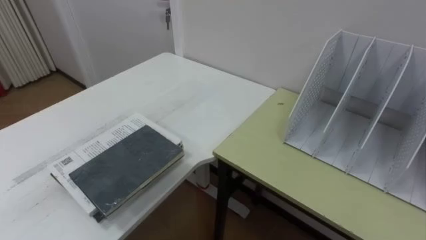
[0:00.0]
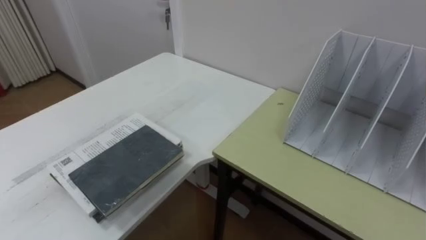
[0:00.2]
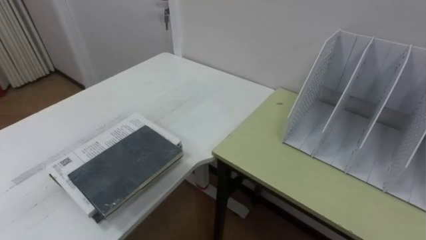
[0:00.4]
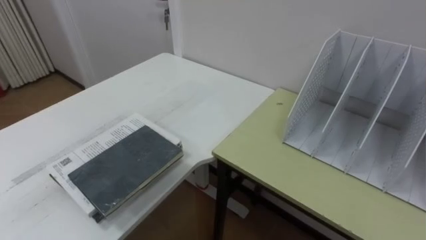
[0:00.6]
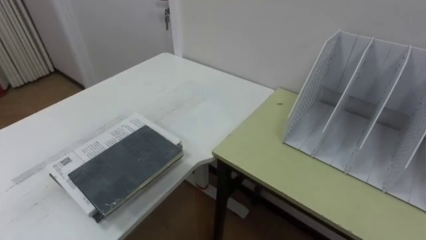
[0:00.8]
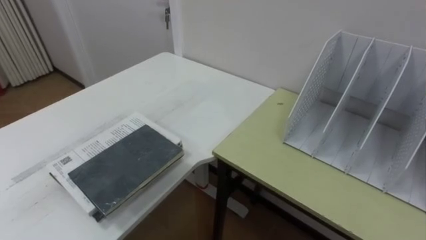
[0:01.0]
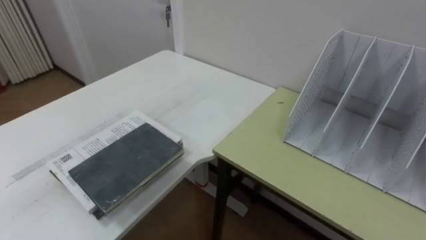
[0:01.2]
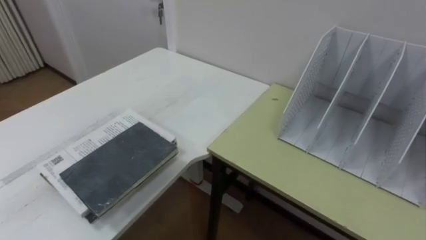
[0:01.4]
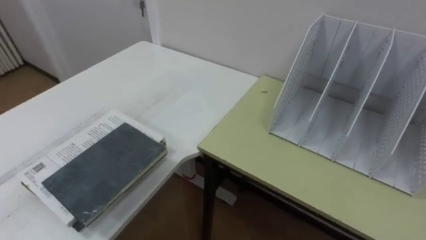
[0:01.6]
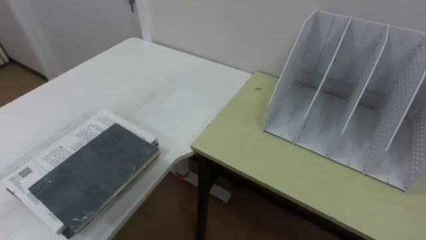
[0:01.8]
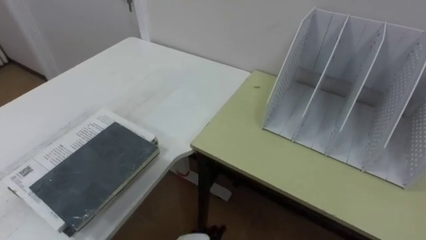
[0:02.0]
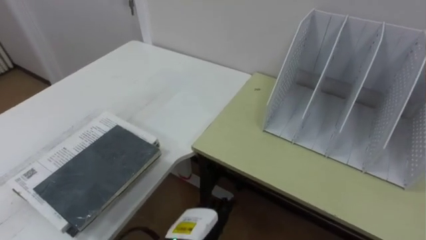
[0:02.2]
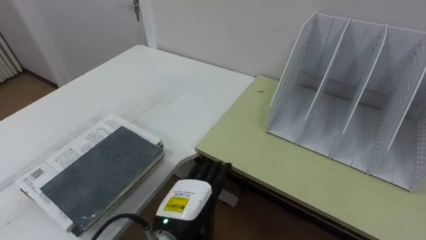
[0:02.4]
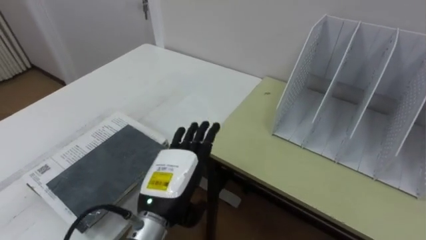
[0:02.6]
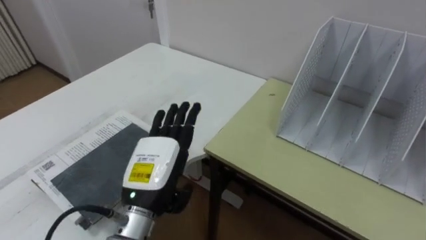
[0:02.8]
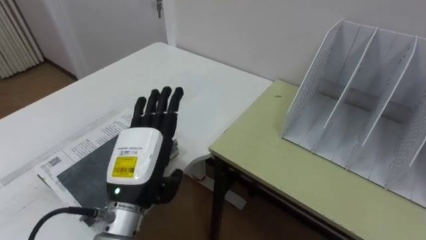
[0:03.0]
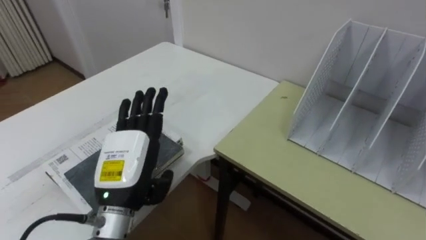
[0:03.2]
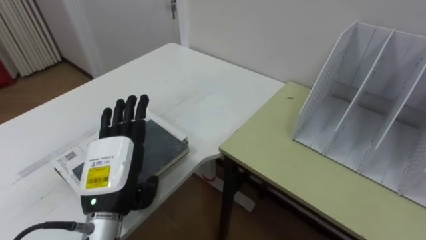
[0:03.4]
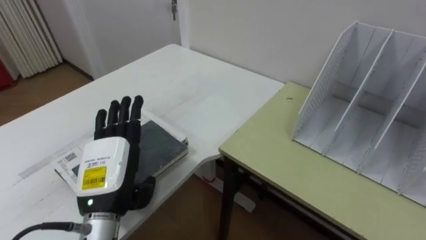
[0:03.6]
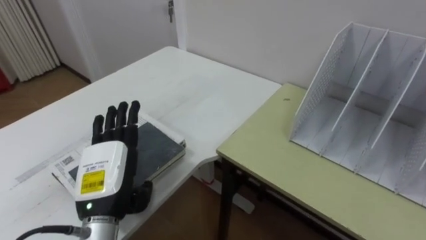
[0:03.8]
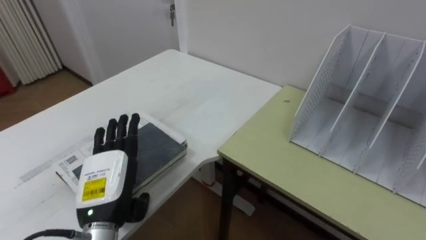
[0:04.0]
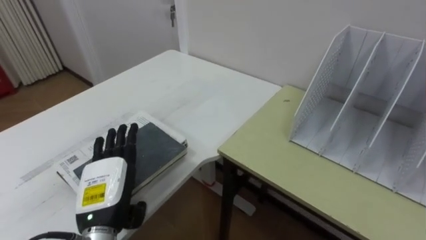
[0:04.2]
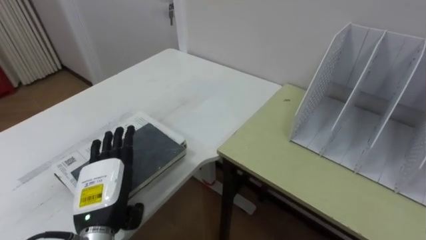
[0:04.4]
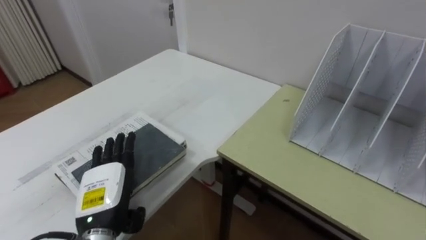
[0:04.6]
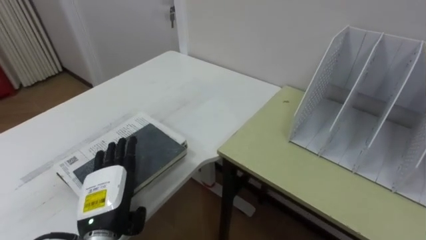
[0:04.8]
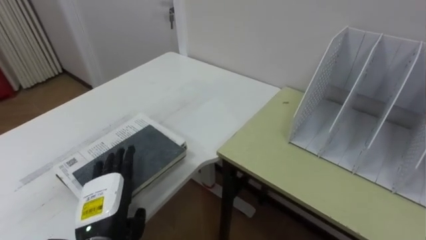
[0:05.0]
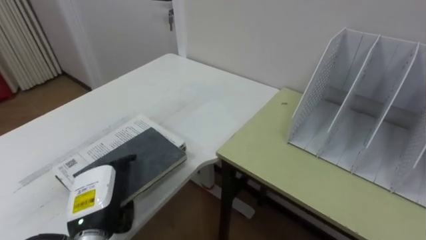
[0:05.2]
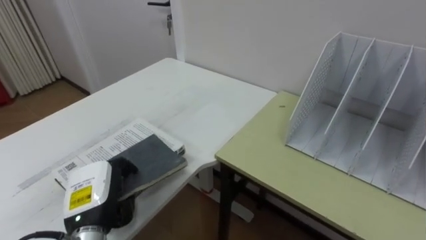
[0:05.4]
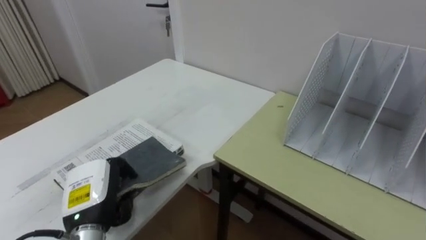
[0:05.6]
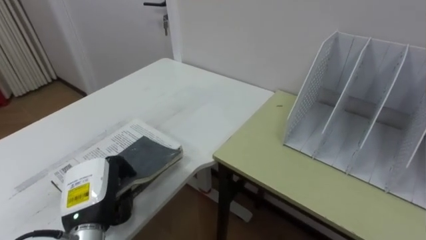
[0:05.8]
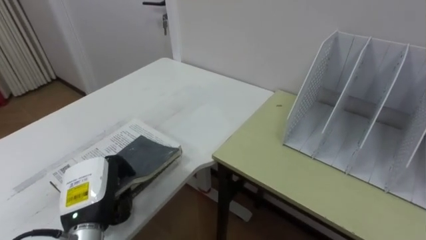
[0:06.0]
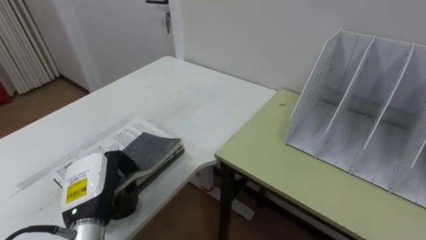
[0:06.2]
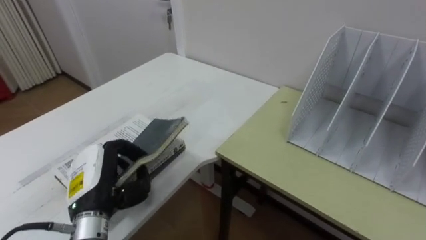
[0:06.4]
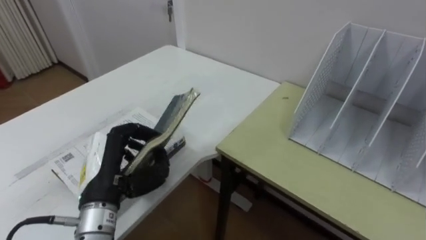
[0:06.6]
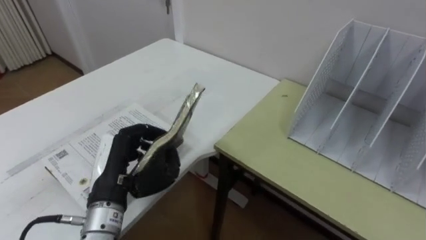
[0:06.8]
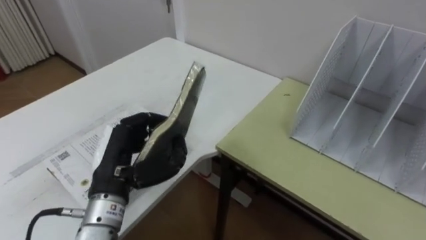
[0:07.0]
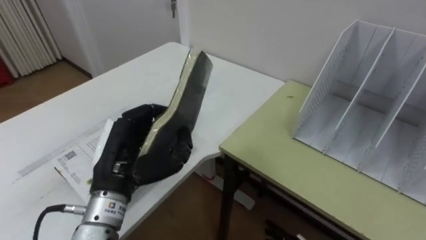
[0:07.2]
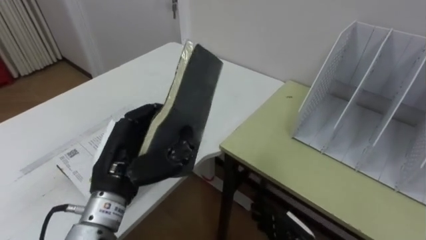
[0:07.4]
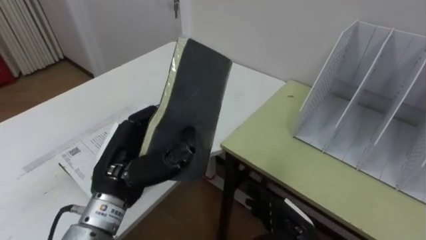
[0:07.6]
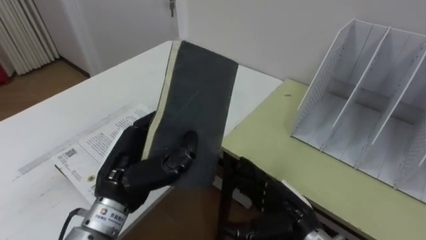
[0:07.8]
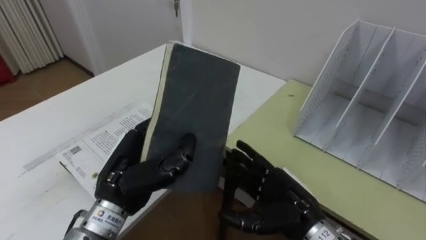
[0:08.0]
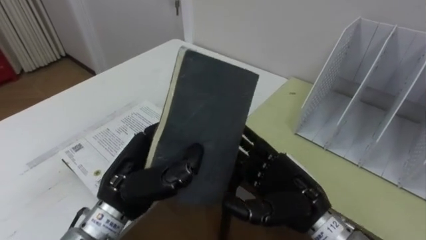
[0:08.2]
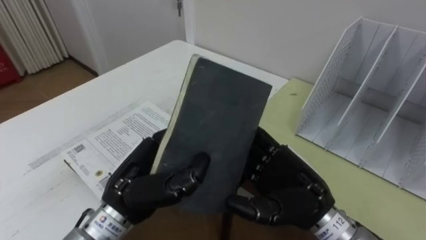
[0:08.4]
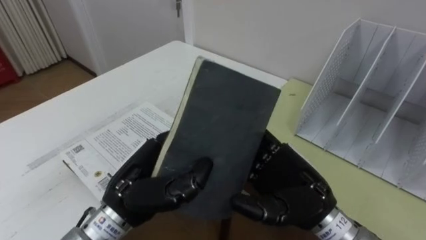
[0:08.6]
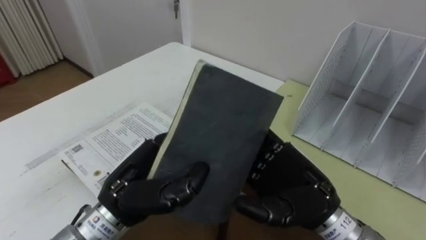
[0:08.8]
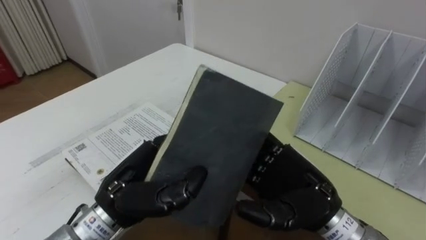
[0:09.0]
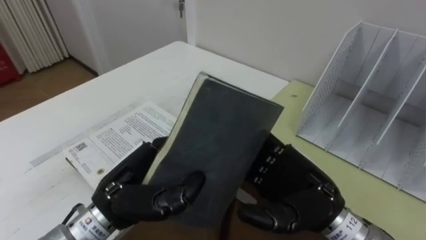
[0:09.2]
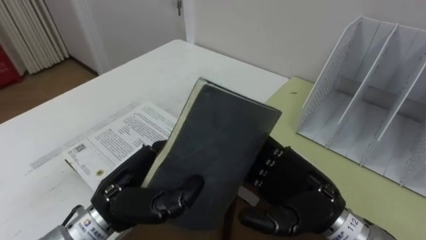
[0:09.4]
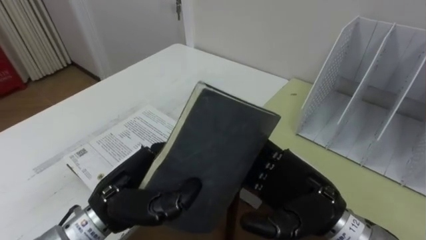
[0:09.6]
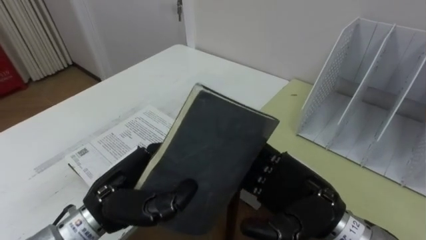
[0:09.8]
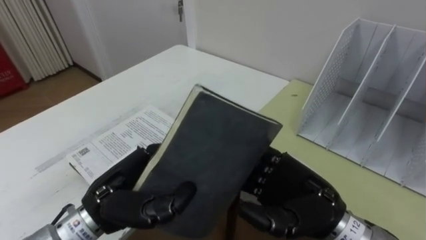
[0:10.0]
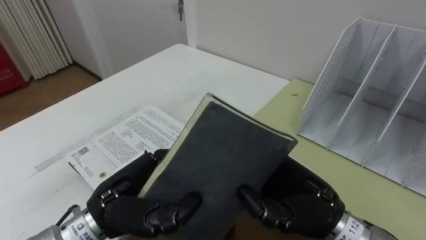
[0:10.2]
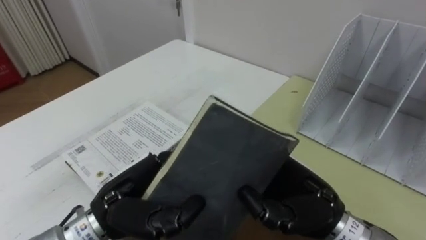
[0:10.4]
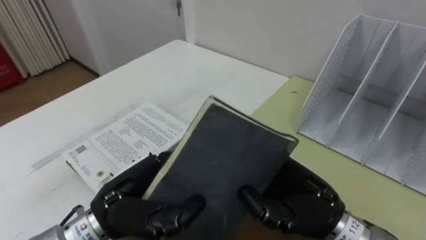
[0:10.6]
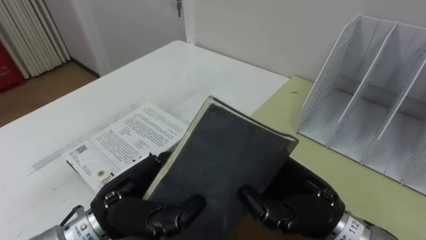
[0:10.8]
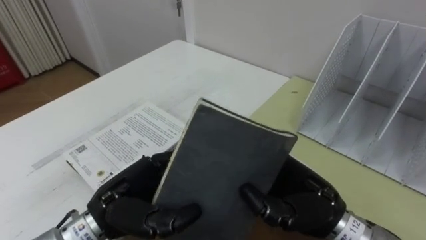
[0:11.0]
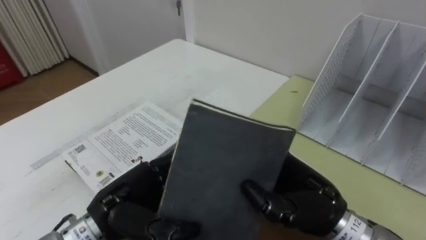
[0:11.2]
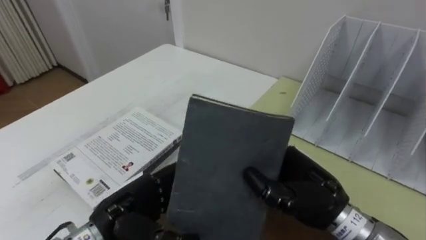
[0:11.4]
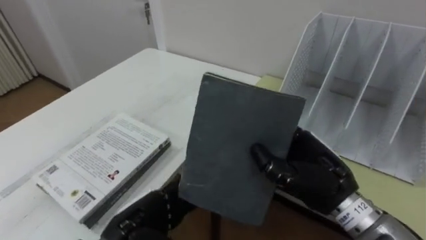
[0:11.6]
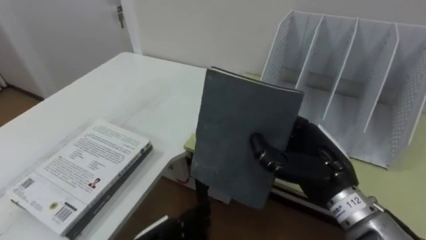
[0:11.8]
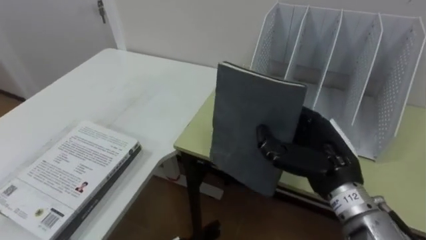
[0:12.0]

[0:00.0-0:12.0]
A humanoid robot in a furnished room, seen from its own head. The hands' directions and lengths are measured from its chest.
Task of the whole recording: Put the books on the table onto the bookshelf.
0:03.0 to 0:04.4: The left hand goes approximately 10 cm to the left and downward.
0:04.4 to 0:06.0: The left hand closes up.
0:06.0 to 0:07.6: The left hand moves upward and to the right, roughly 10 cm.
0:07.6 to 0:09.0: The right hand moves upward, about 15 cm.
0:09.0 to 0:10.4: The right hand closes its fingers.
0:10.4 to 0:12.0: The right hand ends up about 5 cm from where it was.

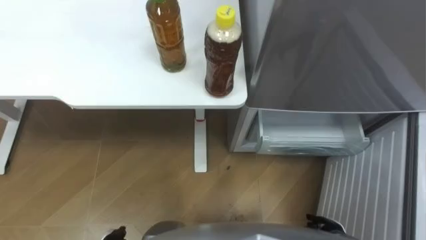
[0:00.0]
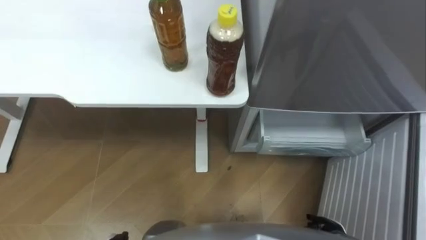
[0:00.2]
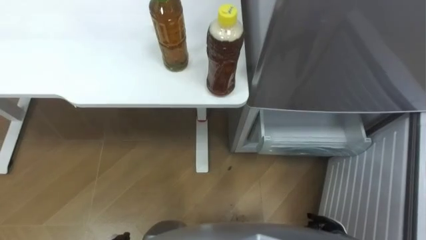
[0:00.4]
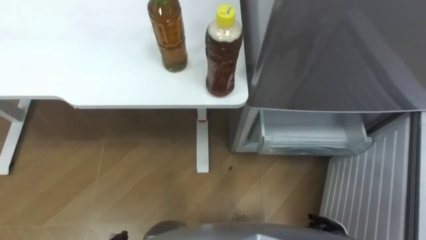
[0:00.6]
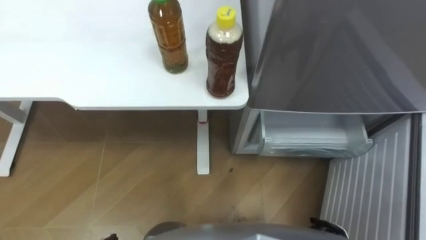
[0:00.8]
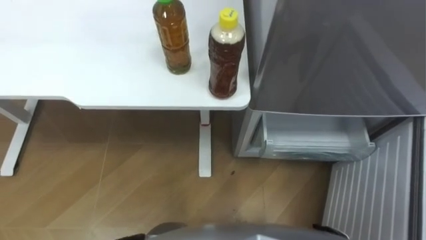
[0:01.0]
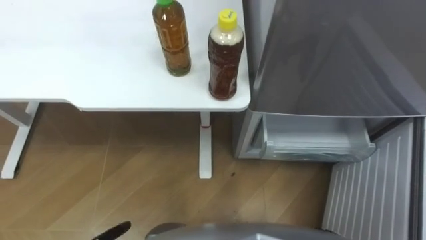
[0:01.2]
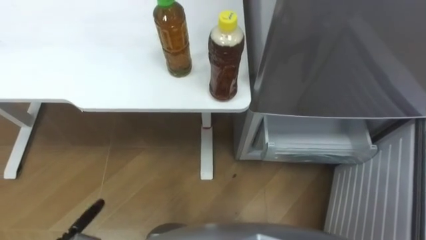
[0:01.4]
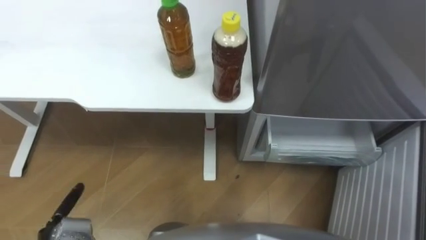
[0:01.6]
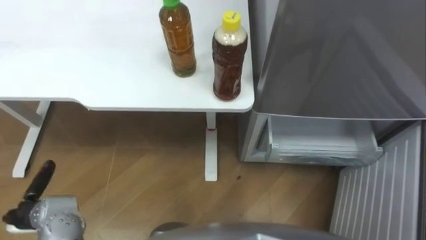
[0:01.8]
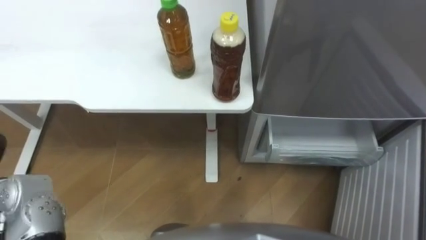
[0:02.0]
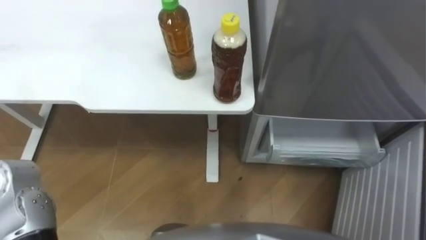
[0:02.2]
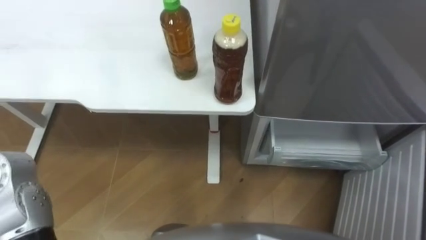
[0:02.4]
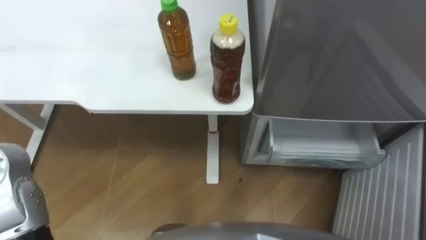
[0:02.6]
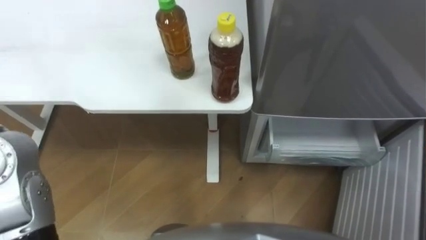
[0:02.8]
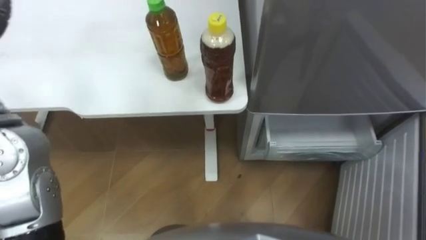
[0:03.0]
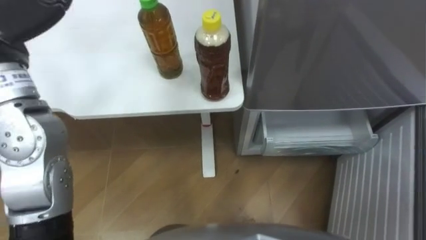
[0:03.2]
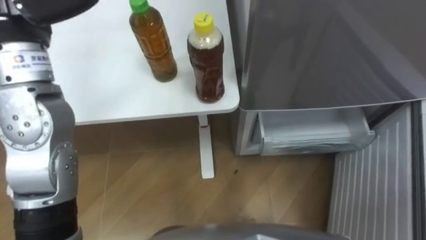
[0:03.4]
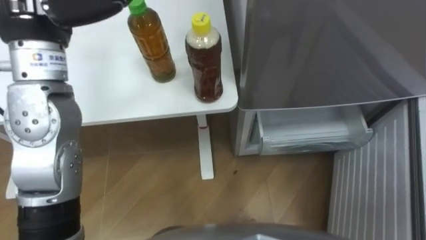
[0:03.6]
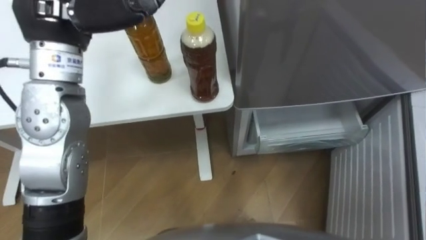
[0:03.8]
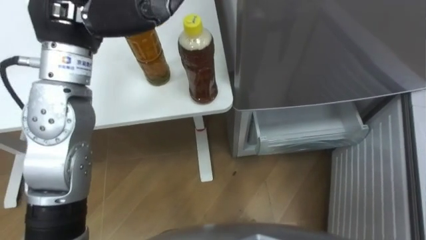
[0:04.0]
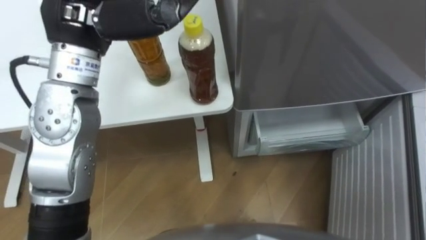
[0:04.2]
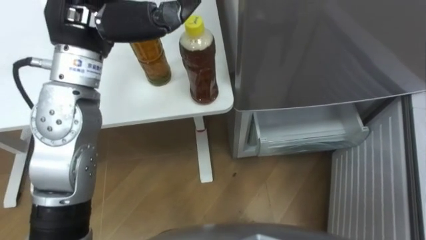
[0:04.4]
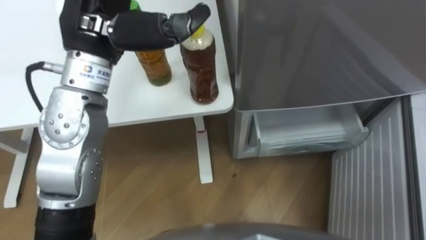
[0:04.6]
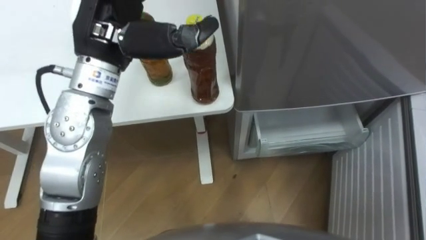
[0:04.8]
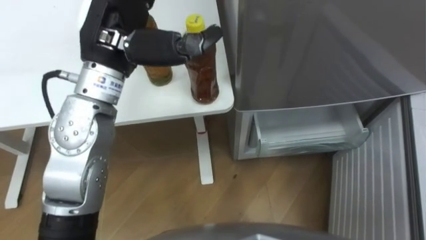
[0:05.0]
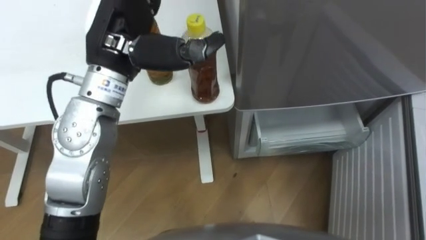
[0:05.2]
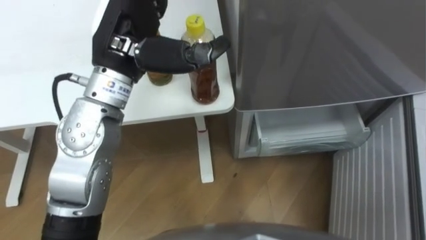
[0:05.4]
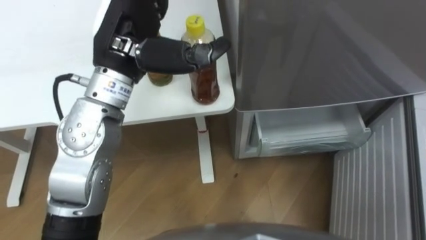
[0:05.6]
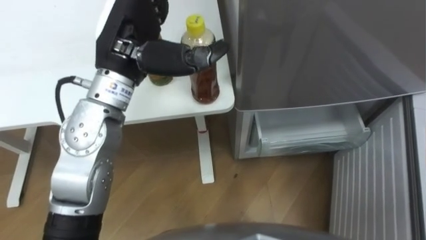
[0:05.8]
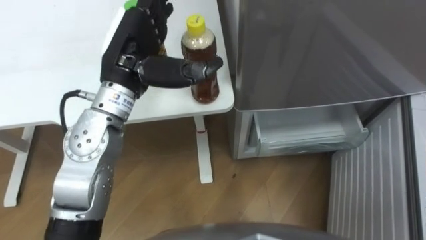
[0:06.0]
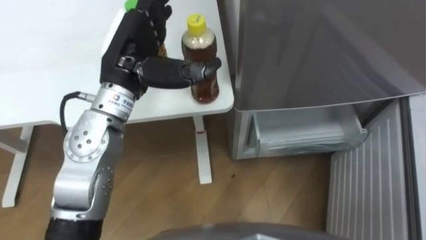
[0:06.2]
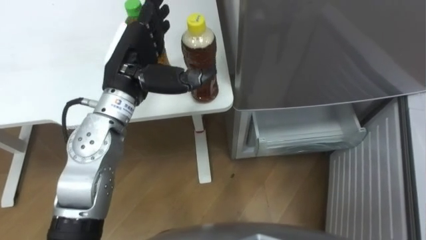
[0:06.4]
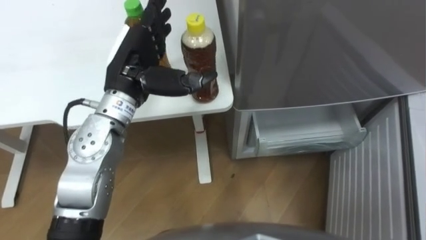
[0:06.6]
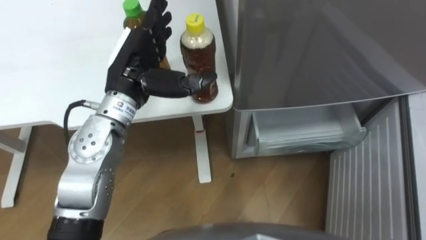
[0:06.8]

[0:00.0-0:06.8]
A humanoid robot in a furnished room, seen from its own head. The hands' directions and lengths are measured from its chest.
Task of the whole recording: Place the drink on the table on the bottom shelf of the refrigerator, then close the drawer and the refrigerator door.
0:04.0 to 0:05.4: The left hand changes place by approximately 5 cm.
0:05.4 to 0:06.8: The left hand heads downward, covering some 10 cm.
